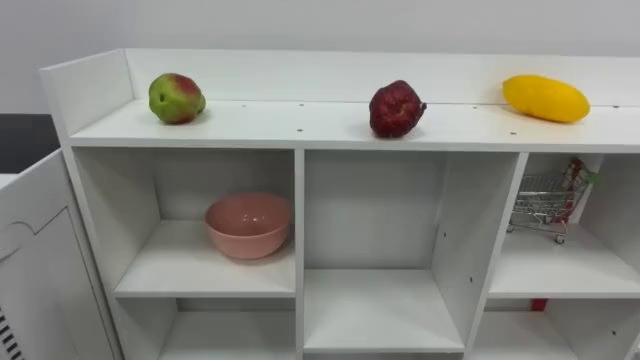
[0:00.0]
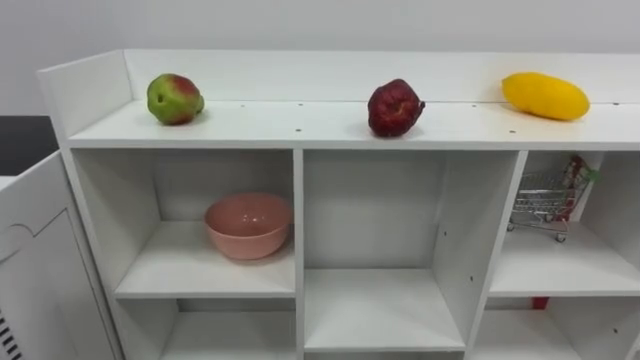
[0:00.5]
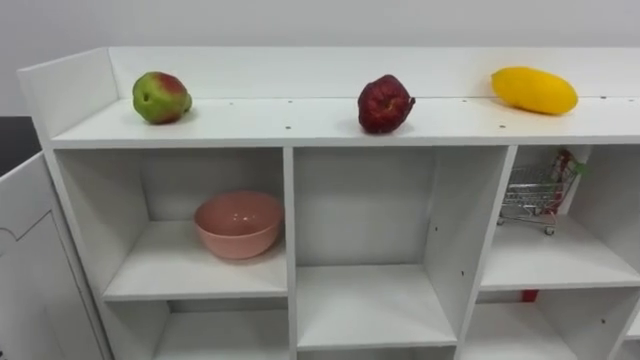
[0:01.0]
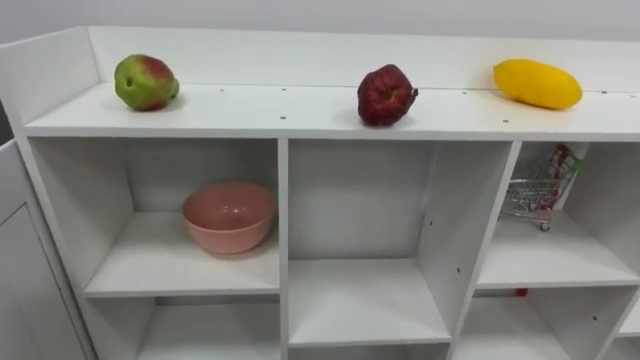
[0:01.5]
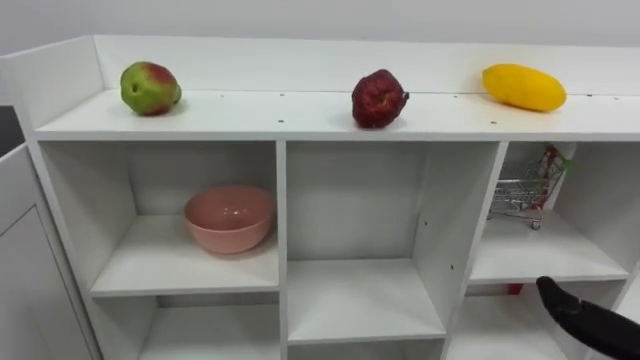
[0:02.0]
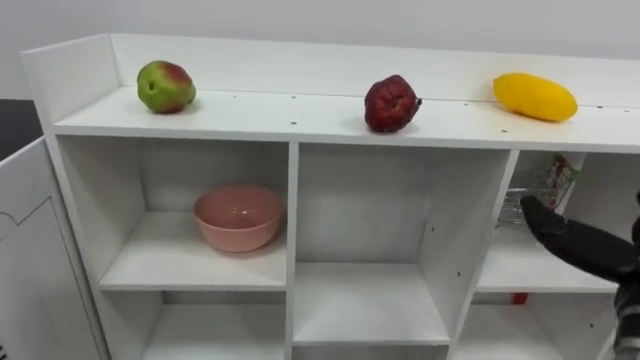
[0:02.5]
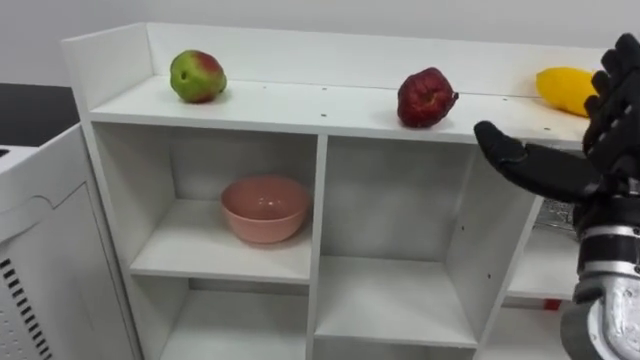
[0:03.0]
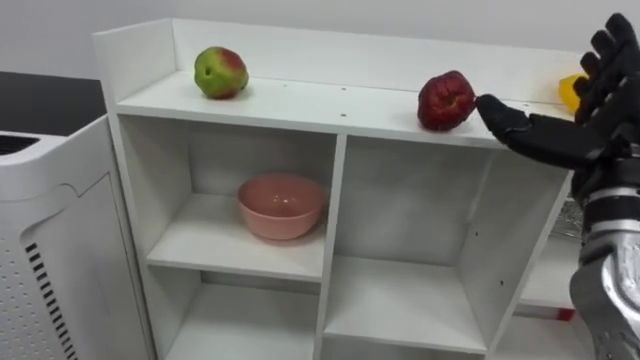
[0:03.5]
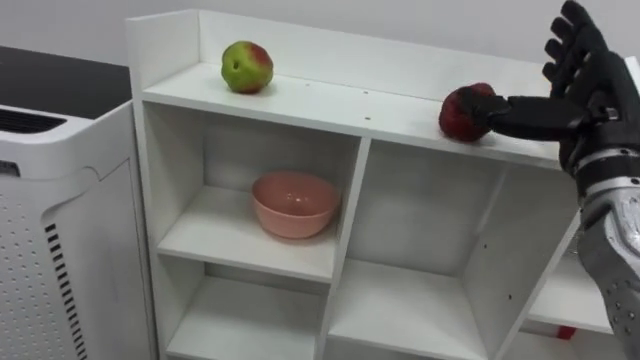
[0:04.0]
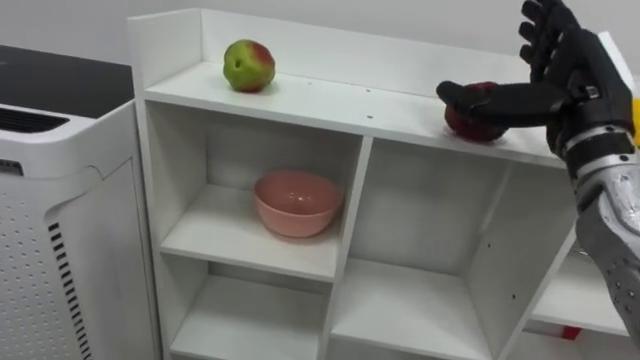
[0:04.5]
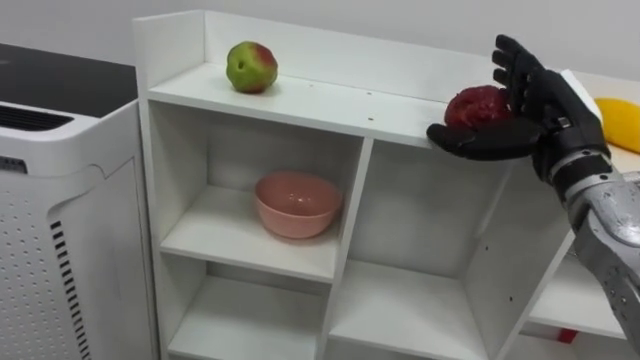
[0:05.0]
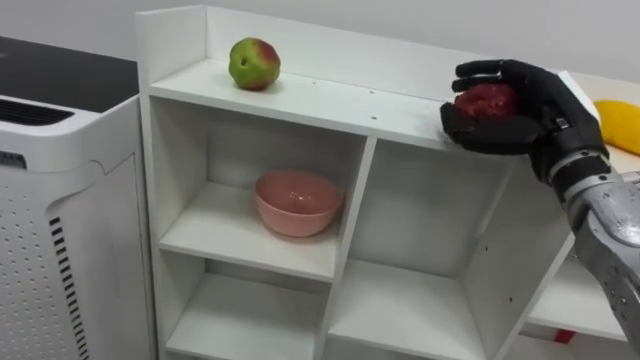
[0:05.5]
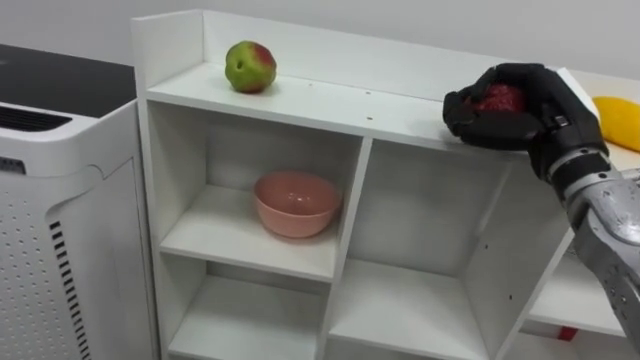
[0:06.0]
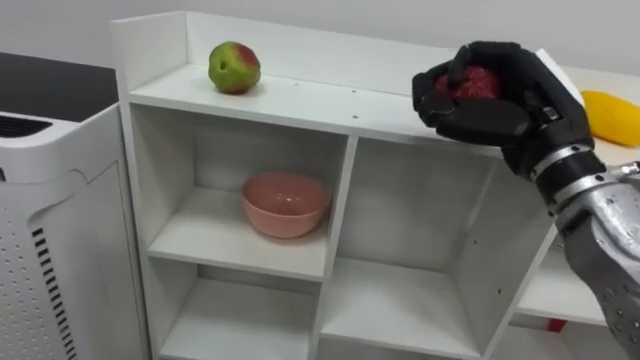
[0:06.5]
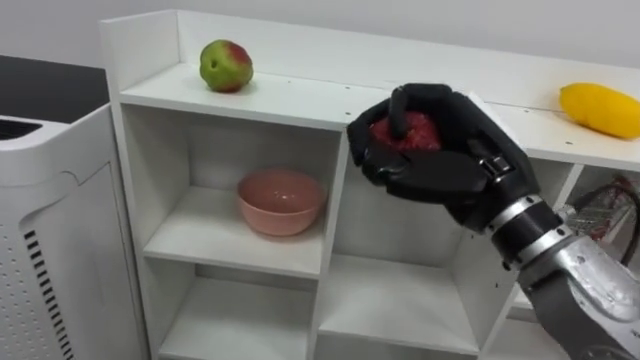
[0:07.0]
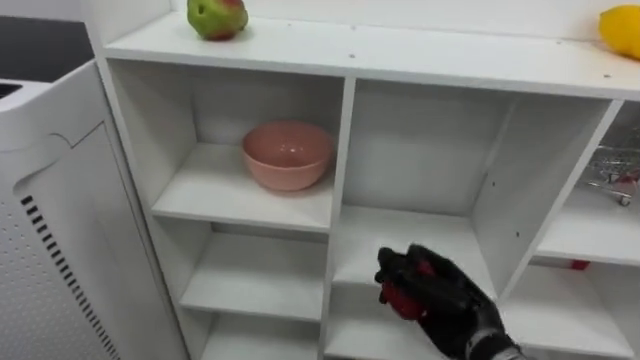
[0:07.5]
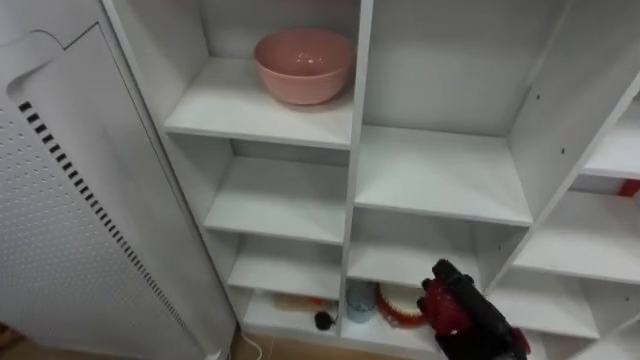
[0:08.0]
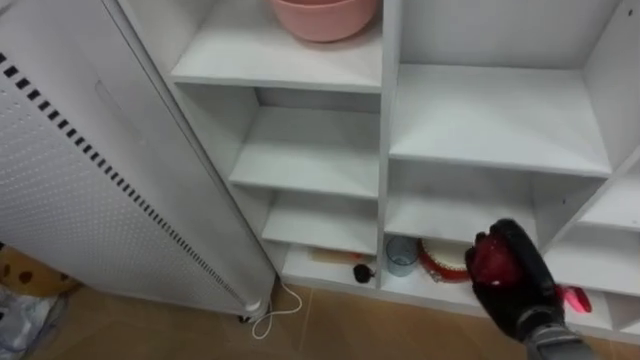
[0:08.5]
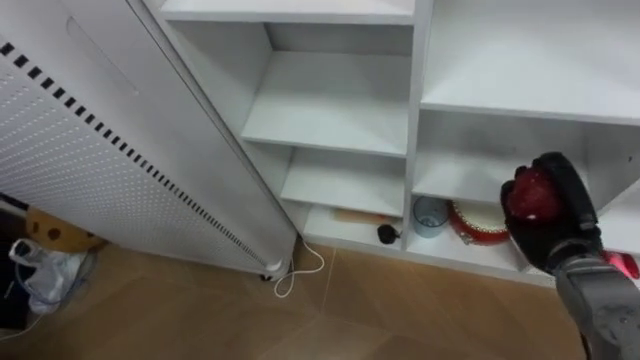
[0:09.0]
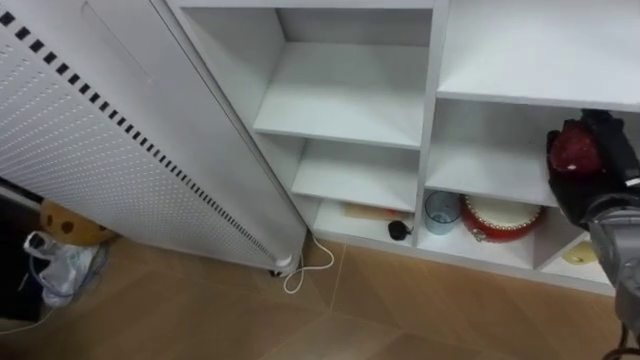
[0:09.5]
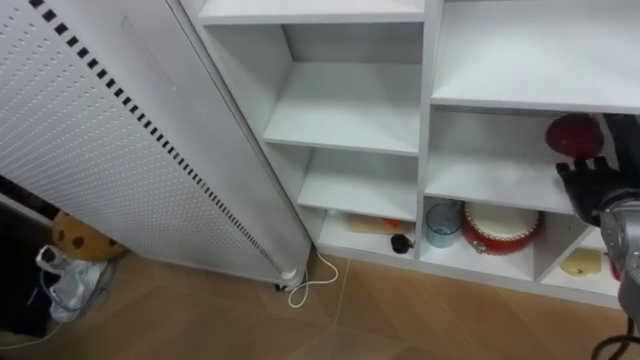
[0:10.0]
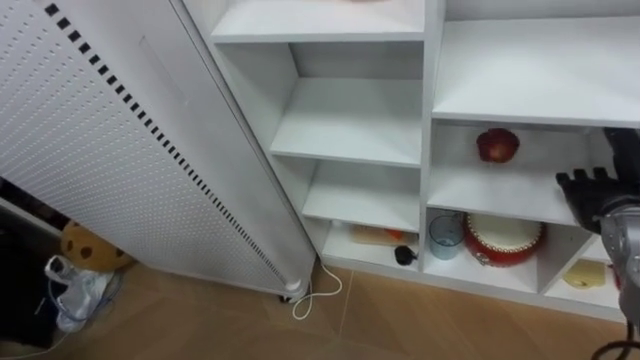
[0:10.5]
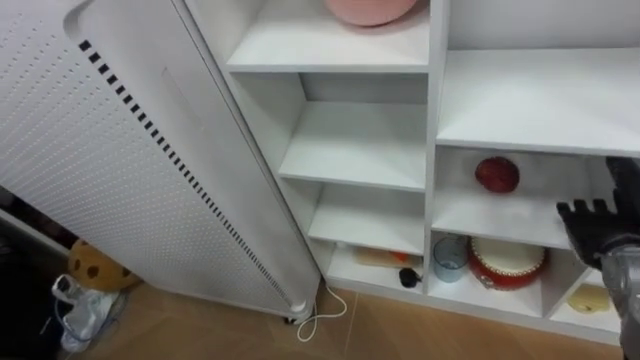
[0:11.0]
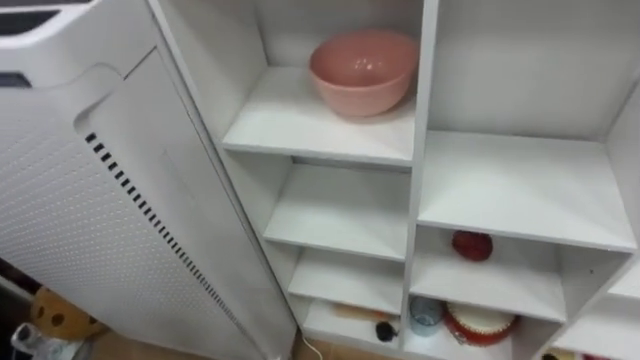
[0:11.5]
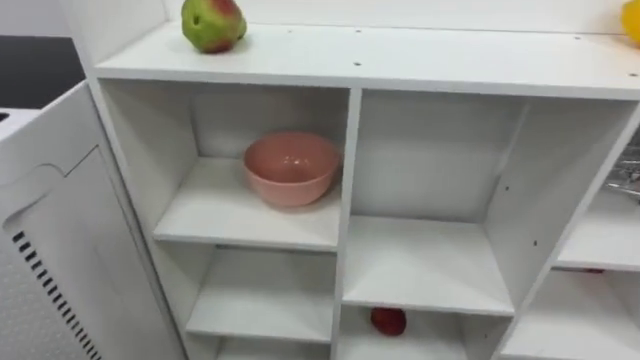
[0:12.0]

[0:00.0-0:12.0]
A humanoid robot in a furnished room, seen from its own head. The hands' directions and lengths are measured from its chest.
Task of the whole recording: Put the apple in the cell in the second column from the left and the second row from the top.
0:04.0 to 0:06.0: The right hand closes up.
0:06.0 to 0:08.0: The right hand is displaced downward by roughly 25 cm.
0:08.0 to 0:10.0: The right hand shifts roughly 25 cm upward, to the right and forward, and opens up.

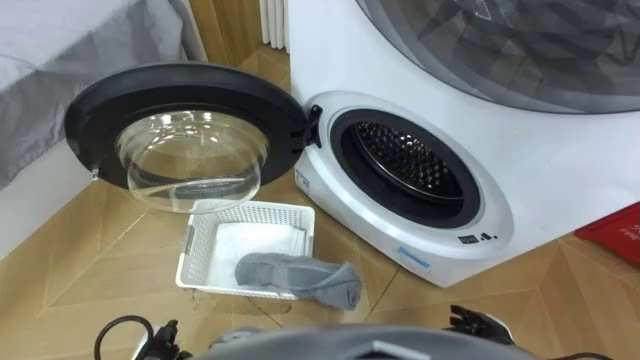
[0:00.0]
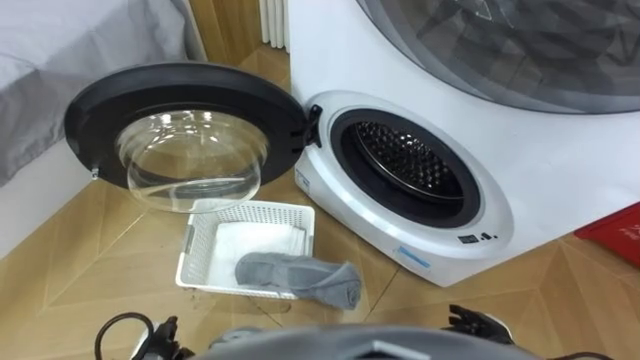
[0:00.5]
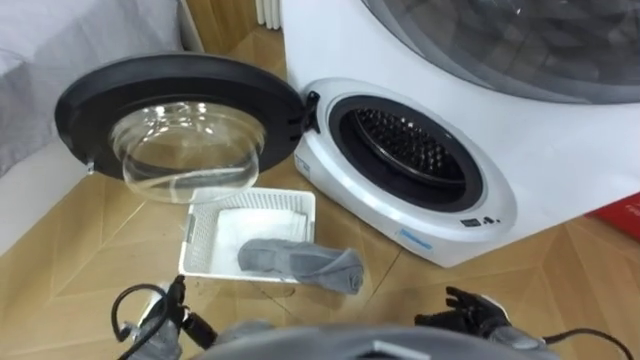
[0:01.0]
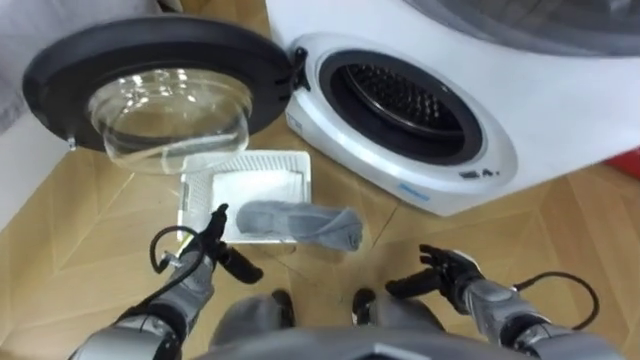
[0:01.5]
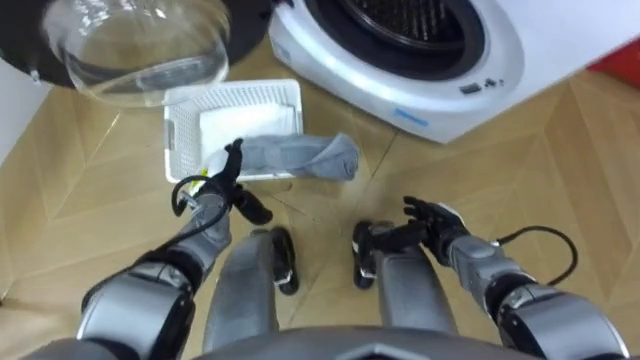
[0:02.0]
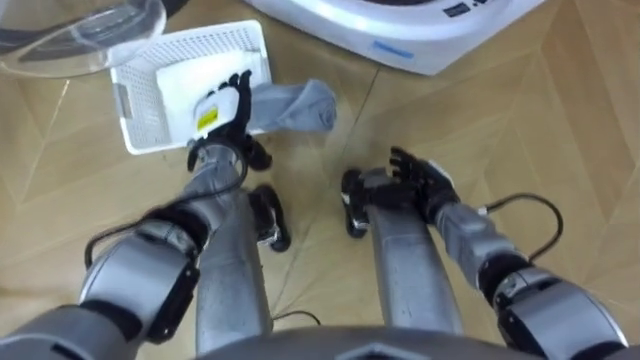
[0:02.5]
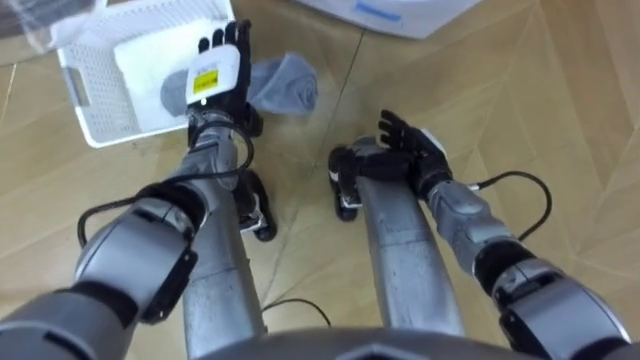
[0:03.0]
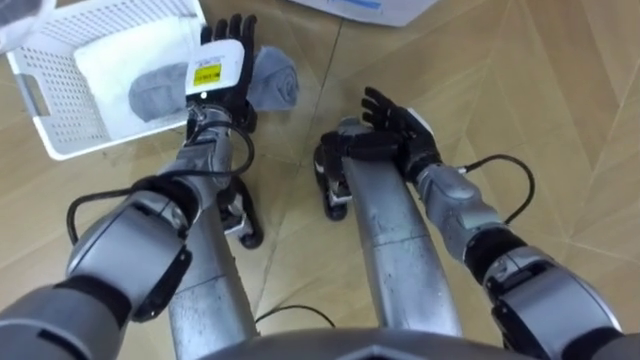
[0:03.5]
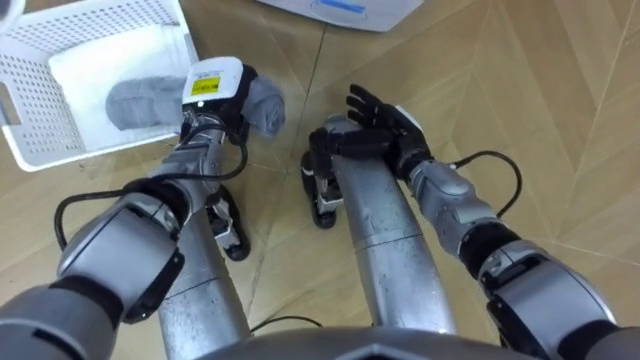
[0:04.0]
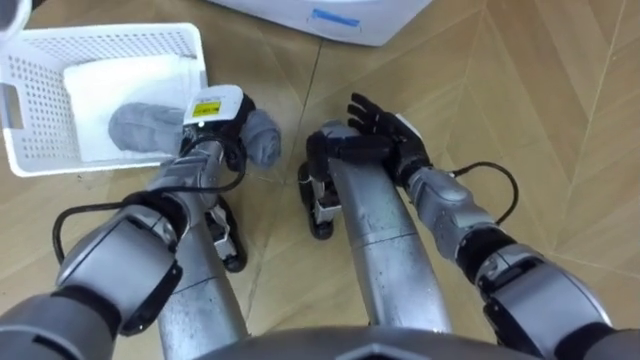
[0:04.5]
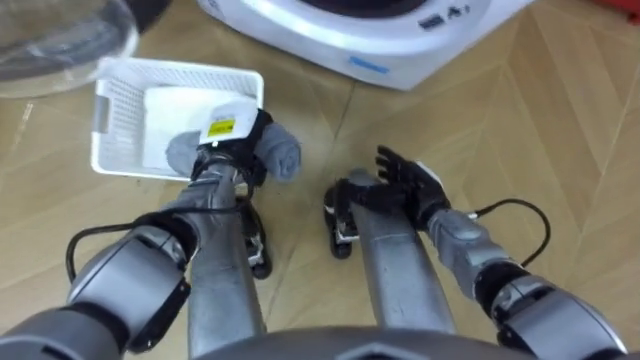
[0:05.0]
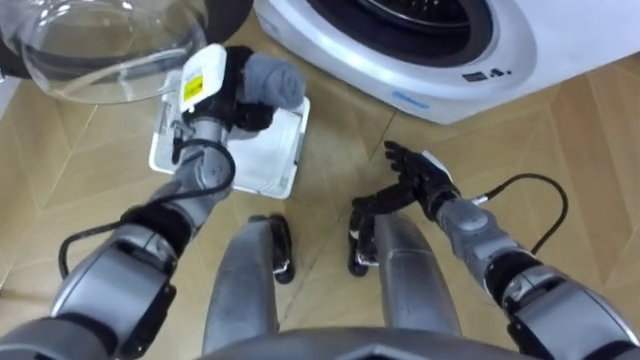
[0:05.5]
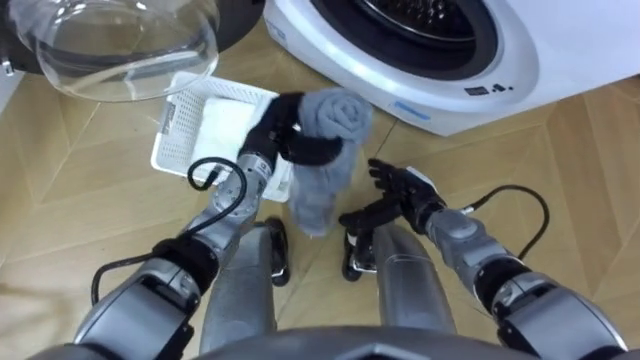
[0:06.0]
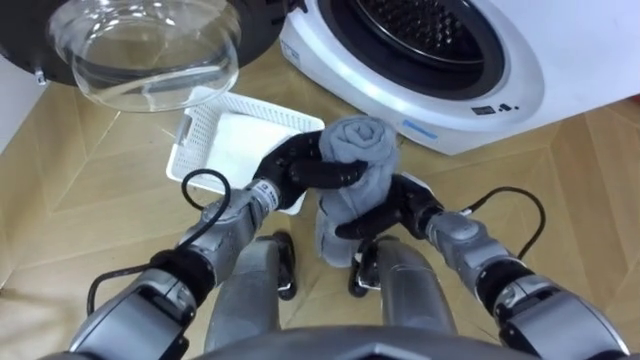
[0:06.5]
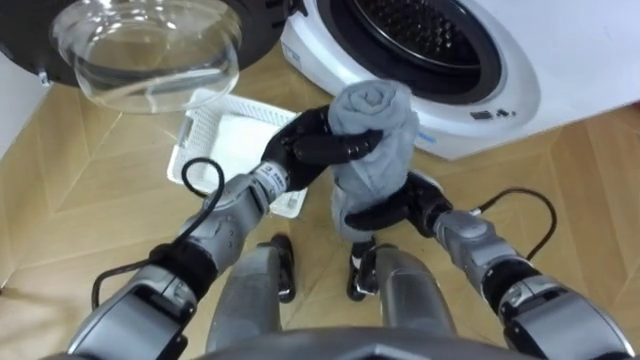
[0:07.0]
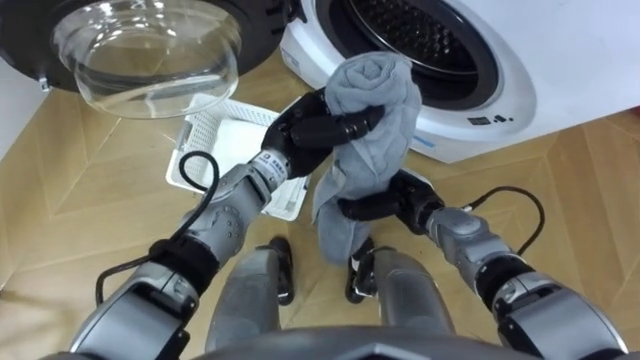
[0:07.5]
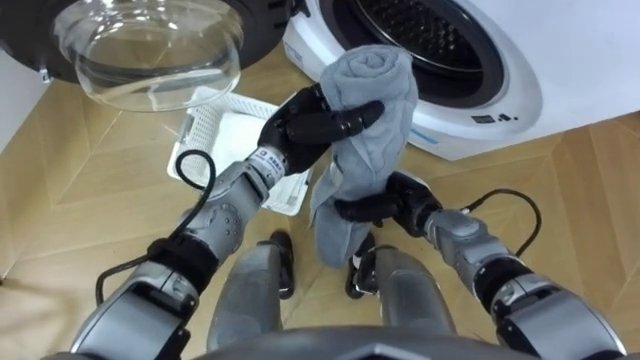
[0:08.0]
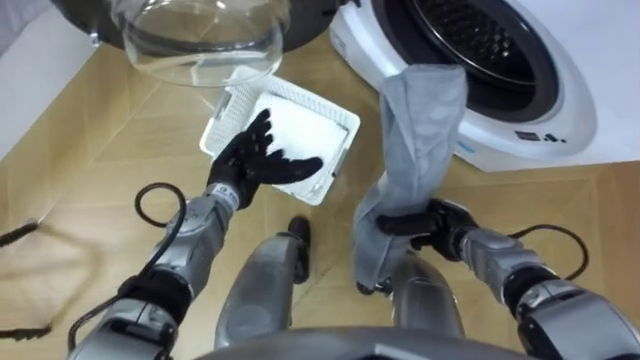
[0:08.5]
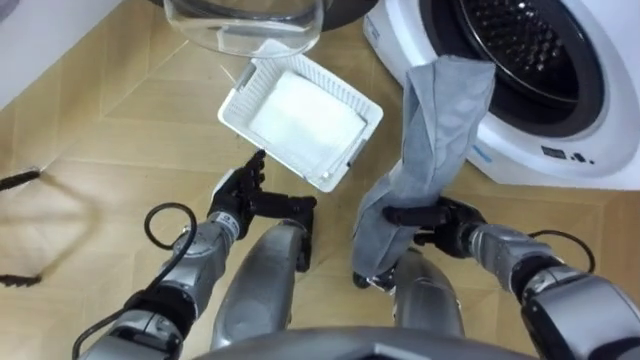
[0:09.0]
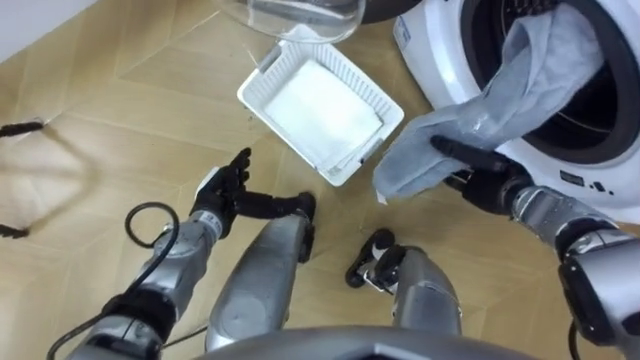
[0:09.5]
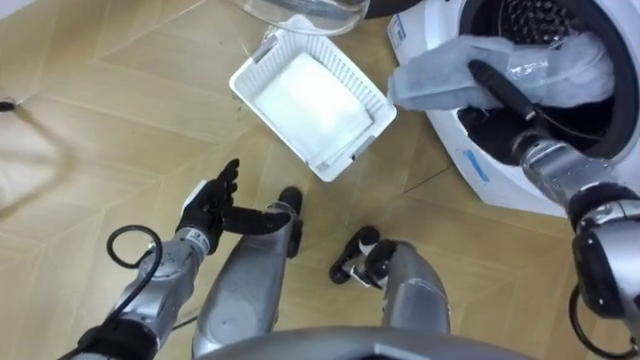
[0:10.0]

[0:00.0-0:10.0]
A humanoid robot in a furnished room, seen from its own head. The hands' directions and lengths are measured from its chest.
Task of the whole recording: Take the towel from the basket and put it into the washing machine.
0:02.0 to 0:04.0: The left hand heads upward and forward, covering approximately 15 cm, and closes its fingers, while the right hand travels forward, upward and to the left by some 15 cm.
0:04.0 to 0:06.0: The left hand goes approximately 5 cm to the right, while the right hand shifts some 10 cm downward and backward.
0:06.0 to 0:08.0: The right hand closes up. Meanwhile the left hand shifts by approximately 5 cm.
0:08.0 to 0:10.0: The right hand goes about 20 cm to the right, forward and upward. The left hand is displaced to the left, downward and backward by some 20 cm, and opens.
